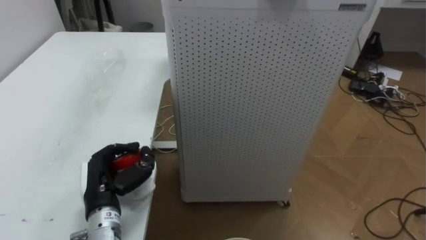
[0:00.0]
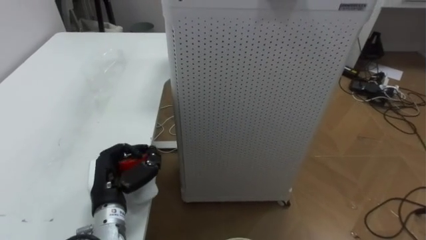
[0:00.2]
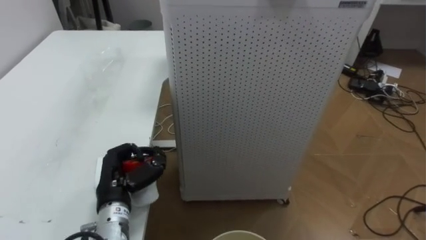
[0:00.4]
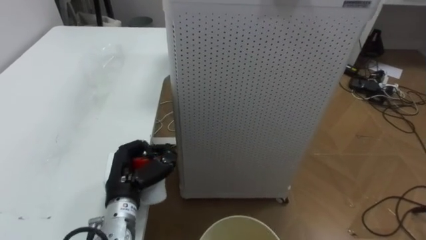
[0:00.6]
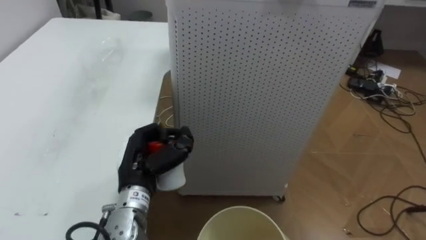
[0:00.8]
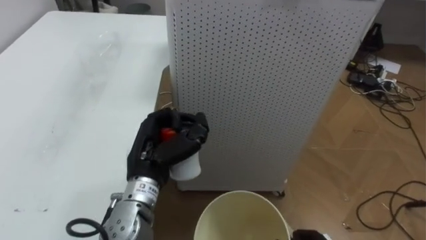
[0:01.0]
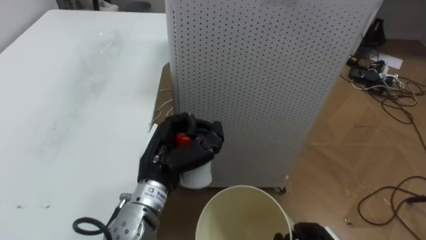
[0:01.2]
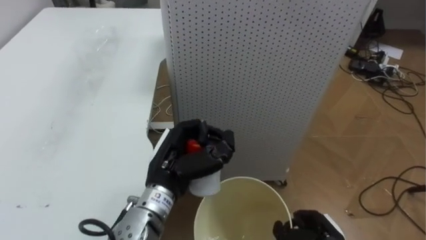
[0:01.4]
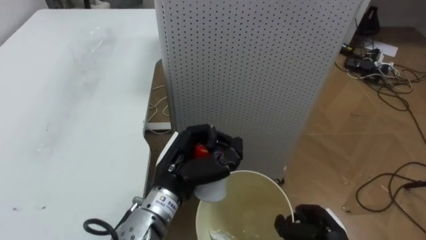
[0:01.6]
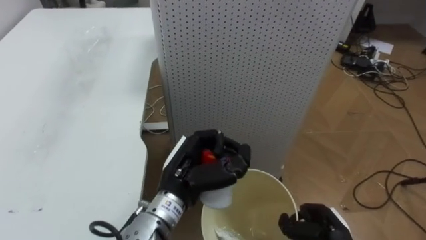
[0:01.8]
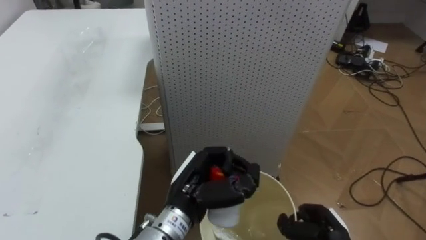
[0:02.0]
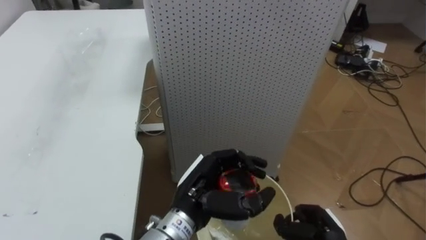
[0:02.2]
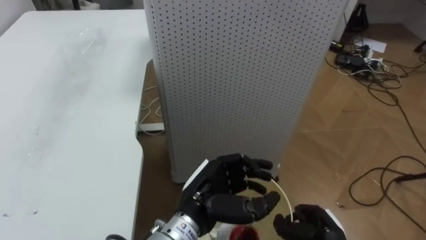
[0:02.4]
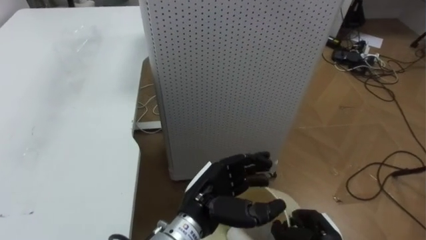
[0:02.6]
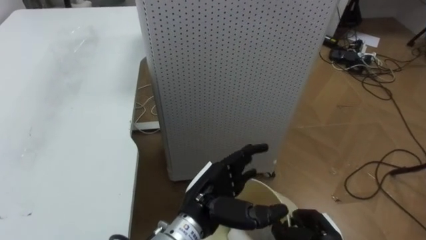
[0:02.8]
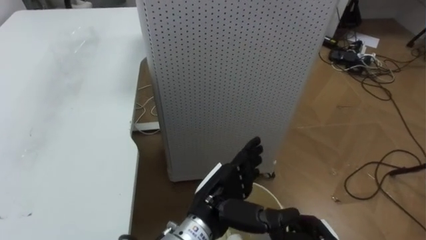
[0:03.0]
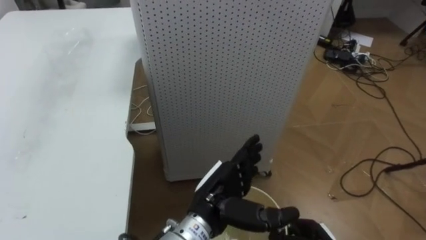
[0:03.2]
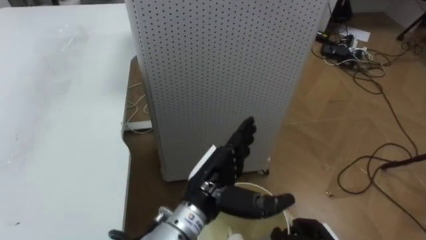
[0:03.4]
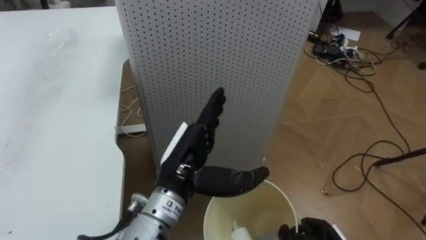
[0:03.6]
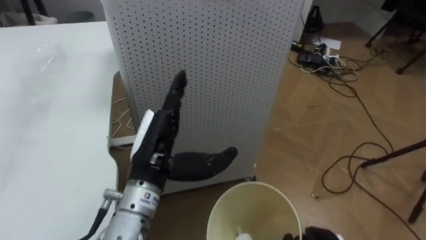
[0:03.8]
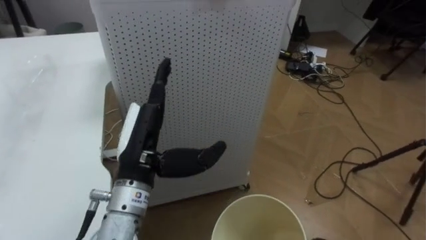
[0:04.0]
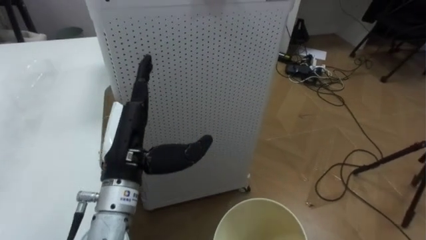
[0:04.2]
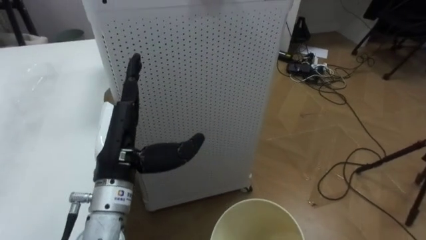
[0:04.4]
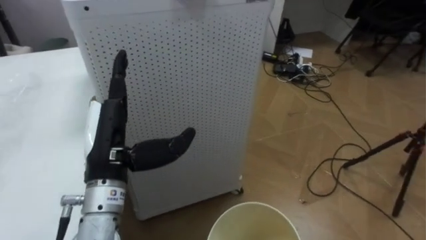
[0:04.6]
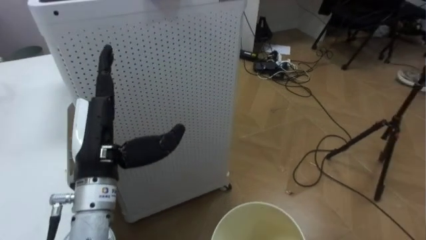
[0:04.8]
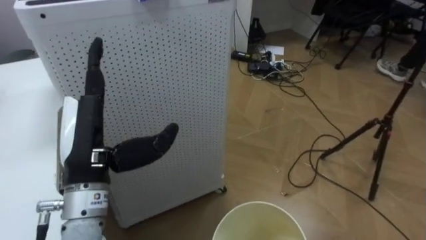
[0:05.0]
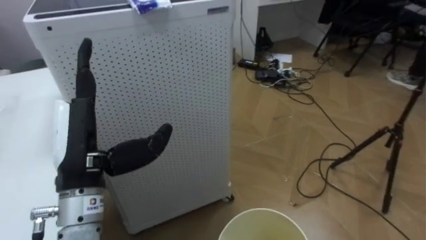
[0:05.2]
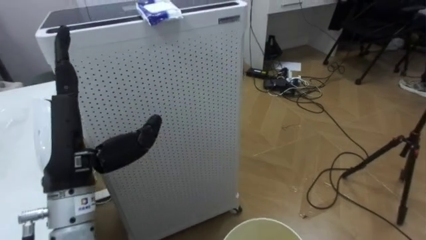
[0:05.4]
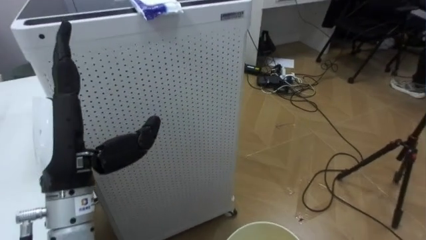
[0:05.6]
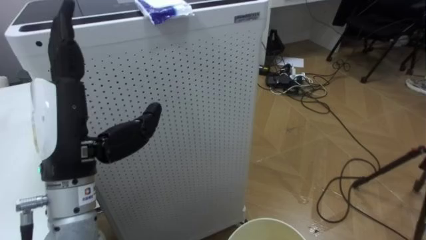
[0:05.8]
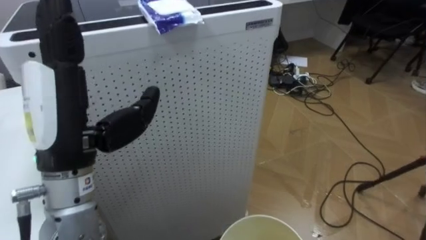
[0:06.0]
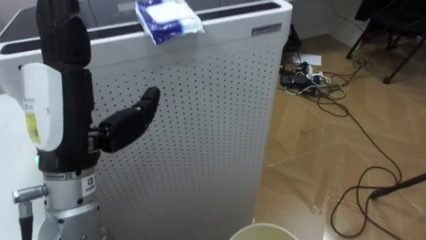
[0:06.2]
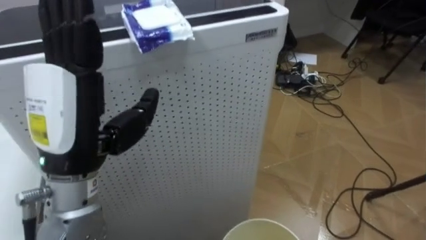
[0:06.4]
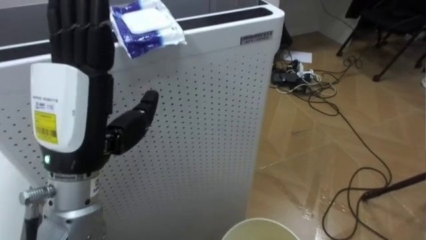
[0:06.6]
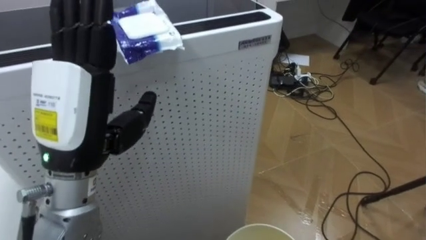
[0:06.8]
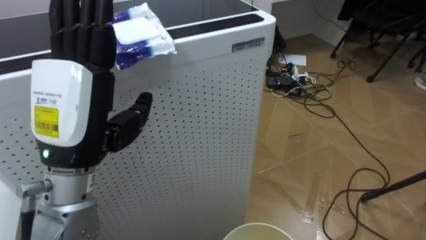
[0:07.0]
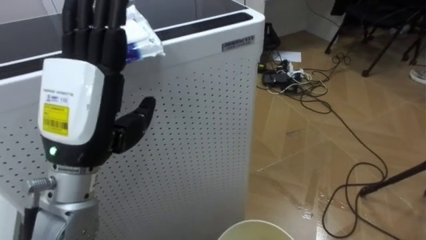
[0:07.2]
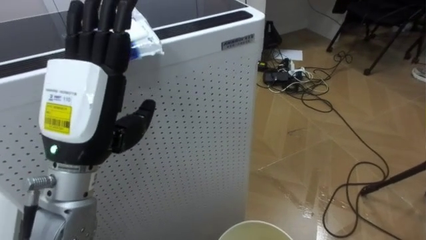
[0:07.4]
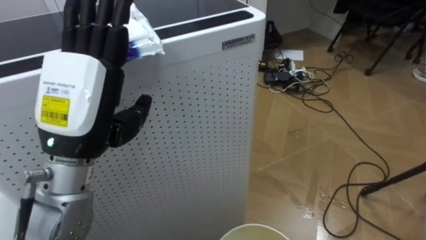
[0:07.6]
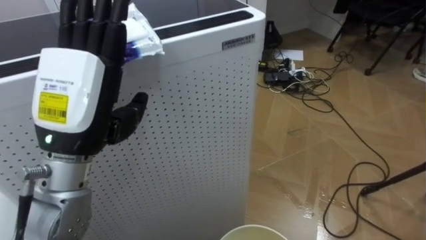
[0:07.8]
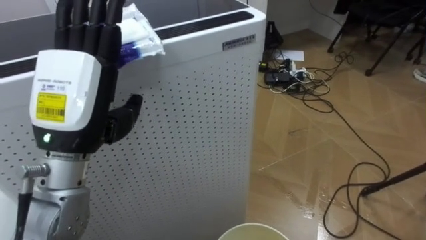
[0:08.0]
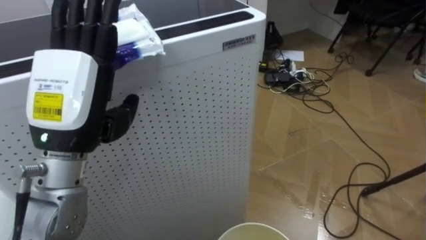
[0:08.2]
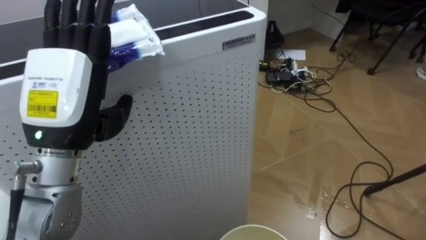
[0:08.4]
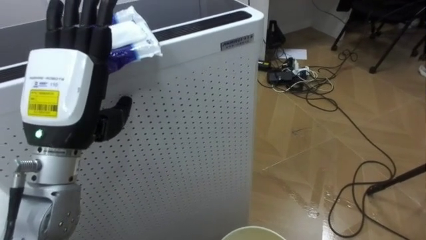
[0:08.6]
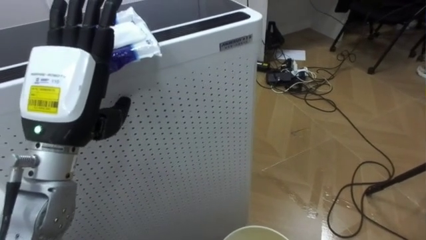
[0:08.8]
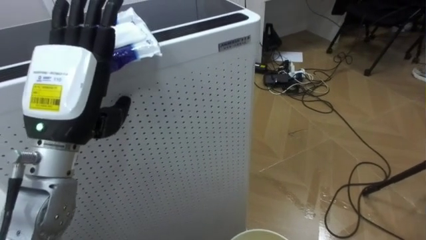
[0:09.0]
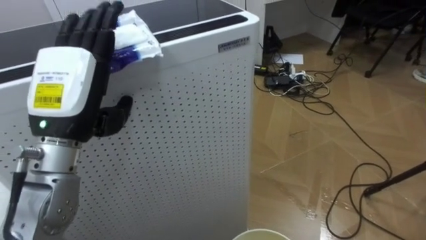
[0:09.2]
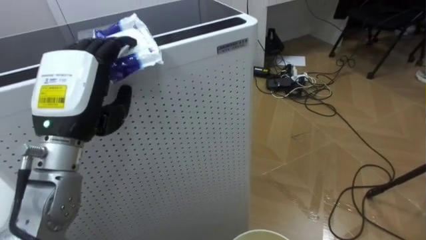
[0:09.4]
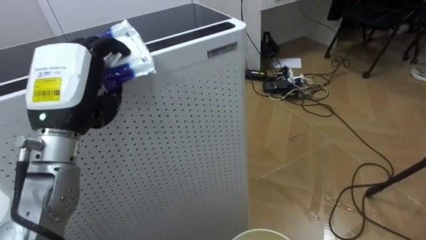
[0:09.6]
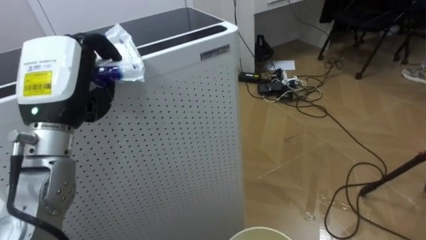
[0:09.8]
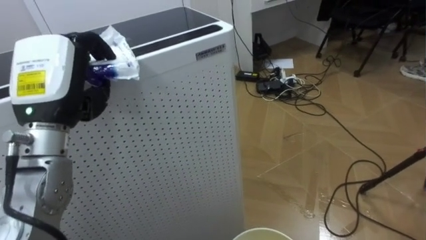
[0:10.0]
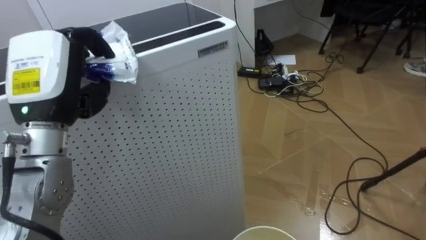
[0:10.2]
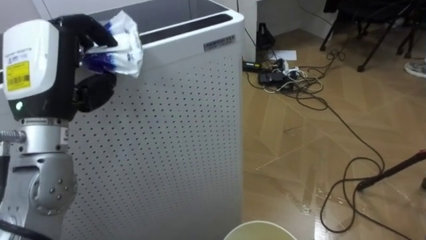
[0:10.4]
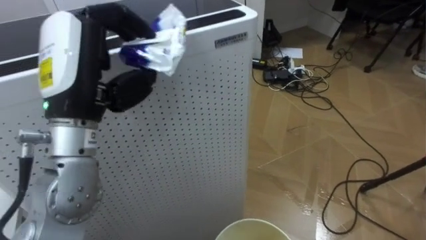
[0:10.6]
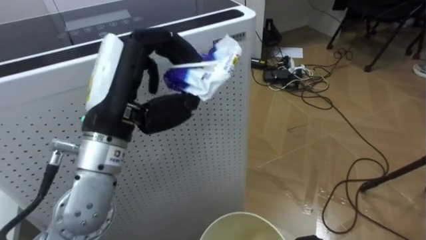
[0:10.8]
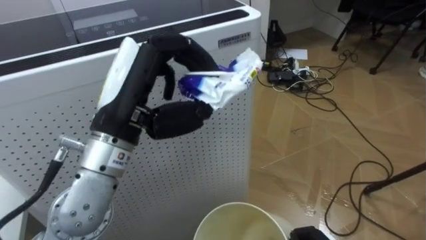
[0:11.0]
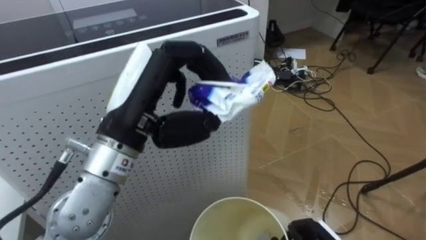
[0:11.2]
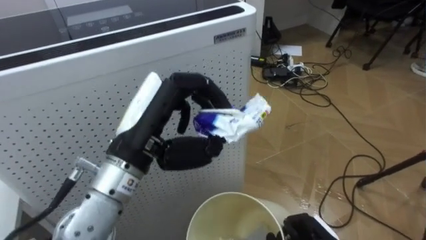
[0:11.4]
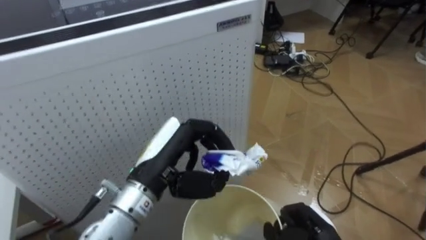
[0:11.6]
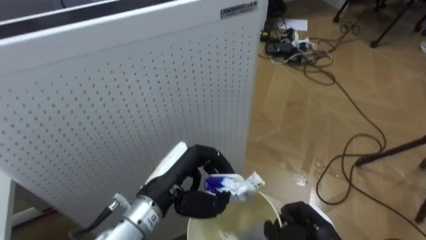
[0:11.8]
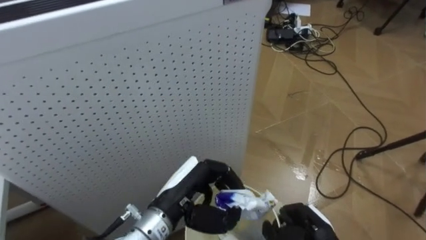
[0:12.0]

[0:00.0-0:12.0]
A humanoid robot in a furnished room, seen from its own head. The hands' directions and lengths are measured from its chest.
Task of the whole recording: Pick up the light blue package, the candy box, and the dark blue package separately, and put them into the trash can held in your right hand.
0:00.0 to 0:01.6: The left hand shifts some 15 cm to the right and upward.
0:01.6 to 0:03.0: The left hand moves to the right, approximately 5 cm, and opens up.
0:03.0 to 0:04.4: The left hand heads to the left and upward, covering some 20 cm.
0:04.4 to 0:06.0: The left hand shifts roughly 10 cm upward.
0:09.0 to 0:10.4: The left hand closes.
0:10.4 to 0:12.0: The left hand shifts some 25 cm downward and to the right.

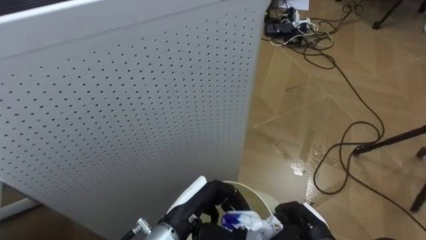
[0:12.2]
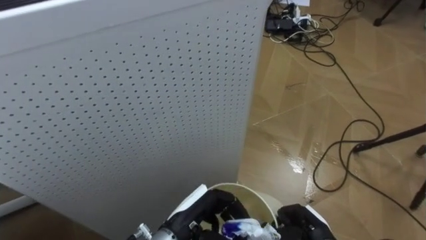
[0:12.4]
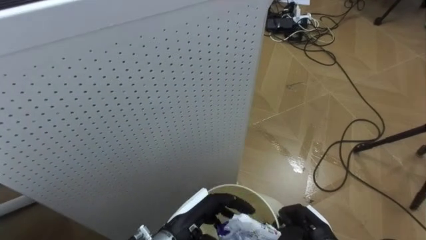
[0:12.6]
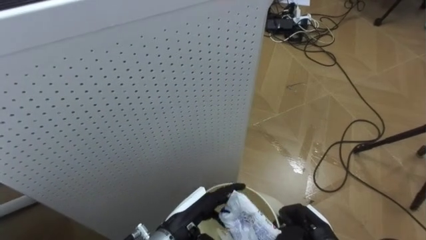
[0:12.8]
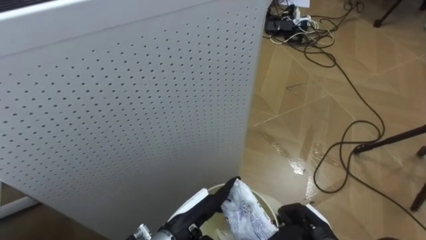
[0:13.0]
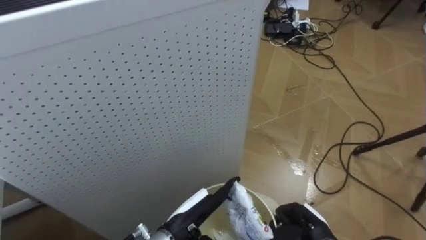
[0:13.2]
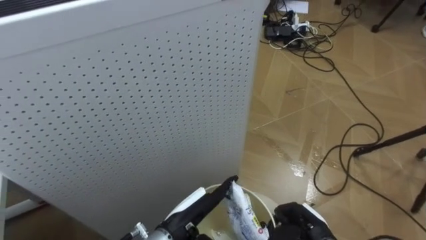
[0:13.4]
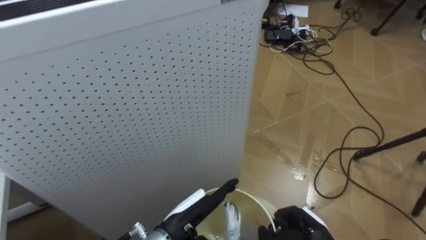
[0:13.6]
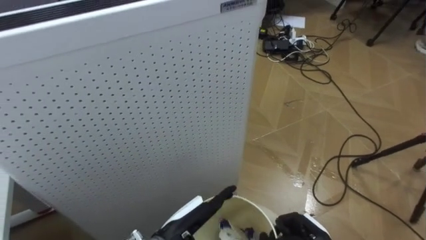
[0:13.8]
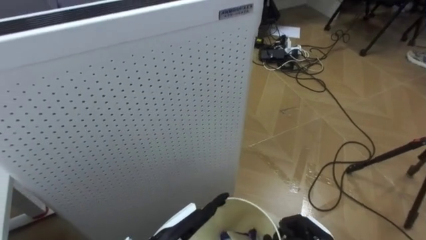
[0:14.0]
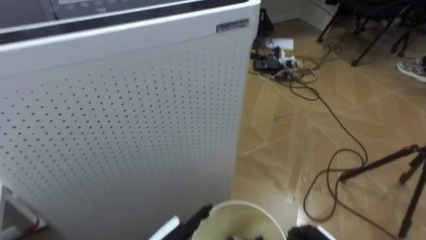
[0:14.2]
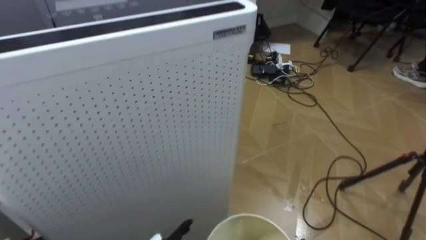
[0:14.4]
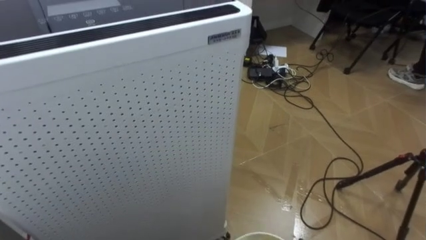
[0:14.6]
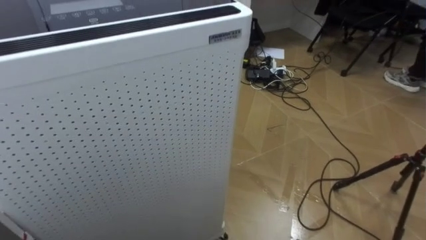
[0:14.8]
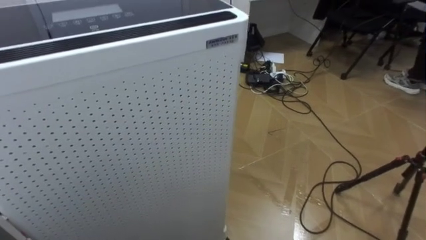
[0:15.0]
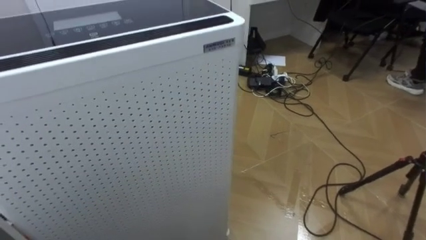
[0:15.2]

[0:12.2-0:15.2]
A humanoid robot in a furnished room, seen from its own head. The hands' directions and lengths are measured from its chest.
Task of the whole recording: Pick up the light blue package, the candy box, and the dark blue package separately, and put them into the trash can held in your right hand.
0:12.2 to 0:13.8: The left hand opens.

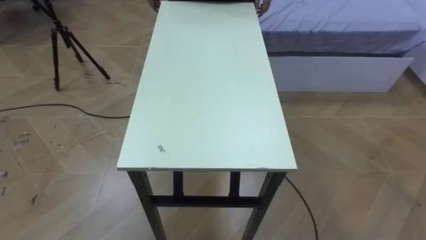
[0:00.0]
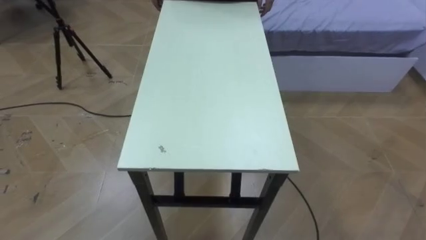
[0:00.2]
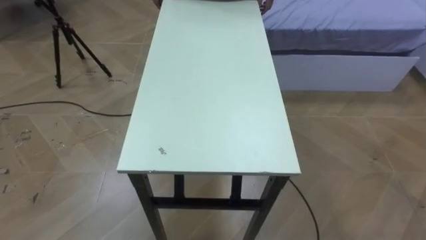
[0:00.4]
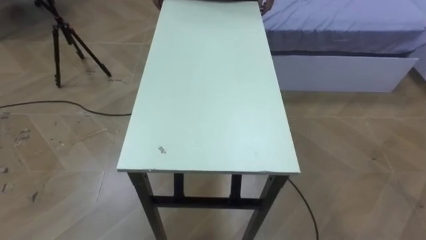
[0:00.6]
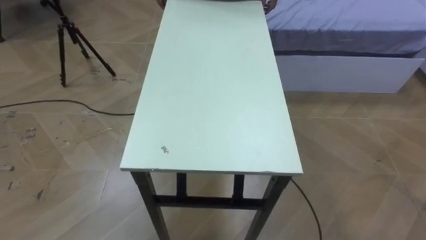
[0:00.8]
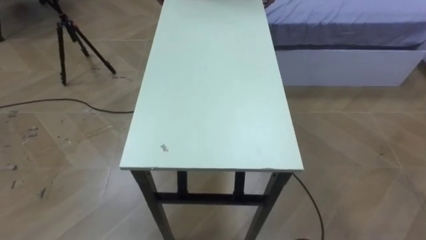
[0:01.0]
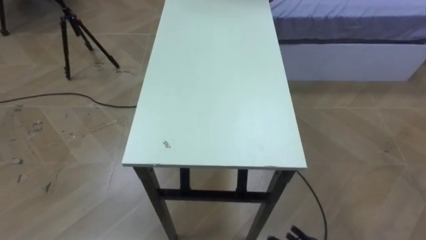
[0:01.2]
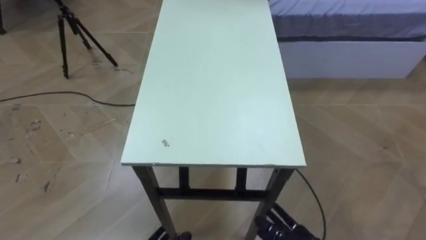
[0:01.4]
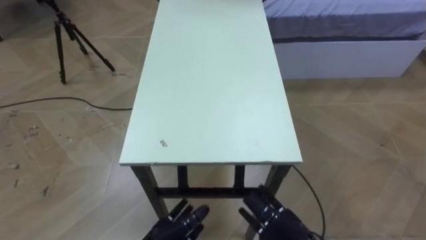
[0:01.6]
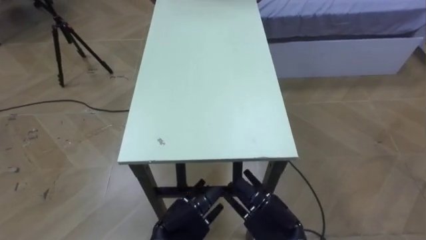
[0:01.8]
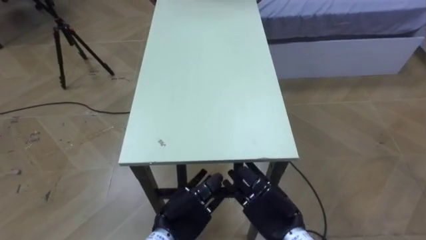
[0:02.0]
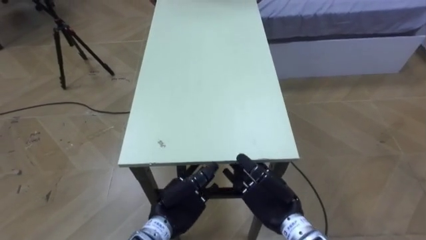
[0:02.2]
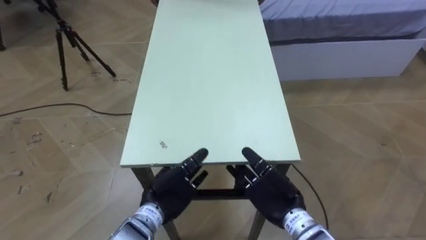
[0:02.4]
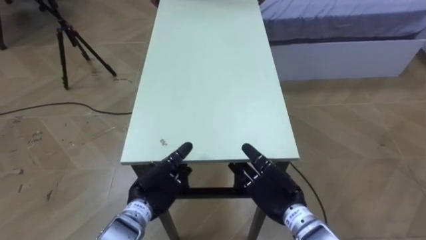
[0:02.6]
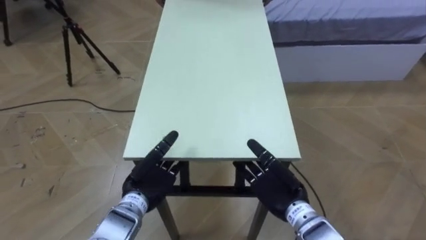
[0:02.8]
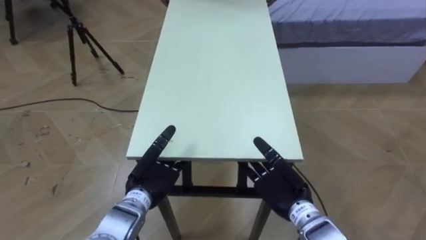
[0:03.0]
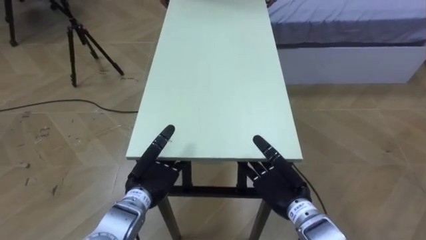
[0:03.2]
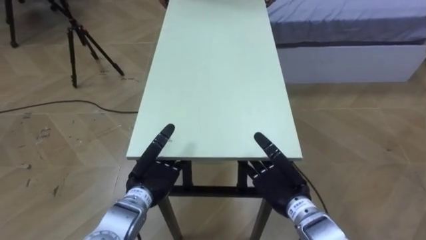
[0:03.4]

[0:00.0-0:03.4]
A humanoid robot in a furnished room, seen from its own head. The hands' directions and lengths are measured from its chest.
Task of the whole recording: Move the table to the back left with someone.
0:01.6 to 0:03.4: The right hand goes some 10 cm forward and upward.
